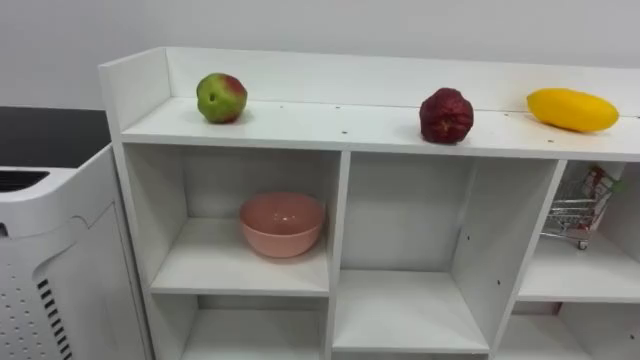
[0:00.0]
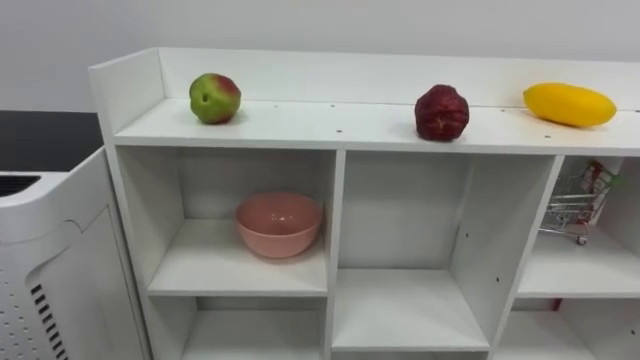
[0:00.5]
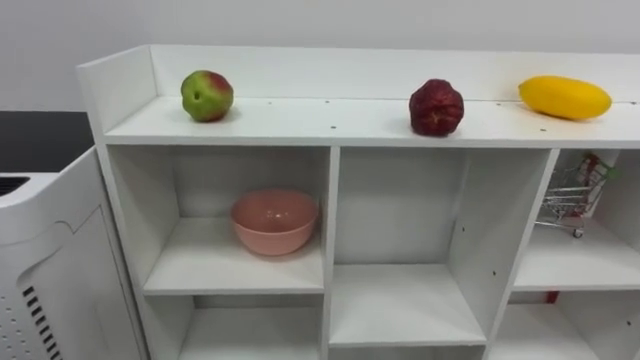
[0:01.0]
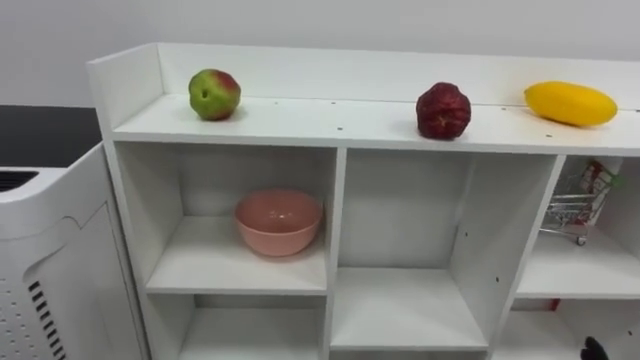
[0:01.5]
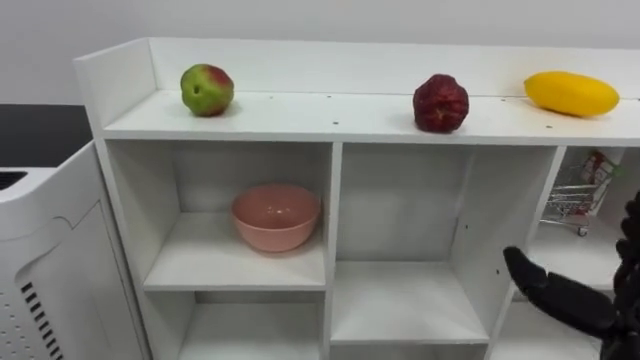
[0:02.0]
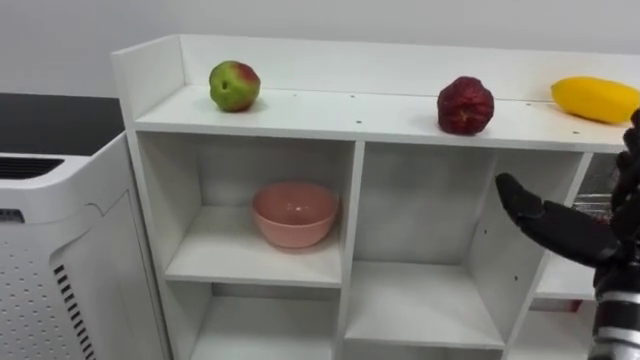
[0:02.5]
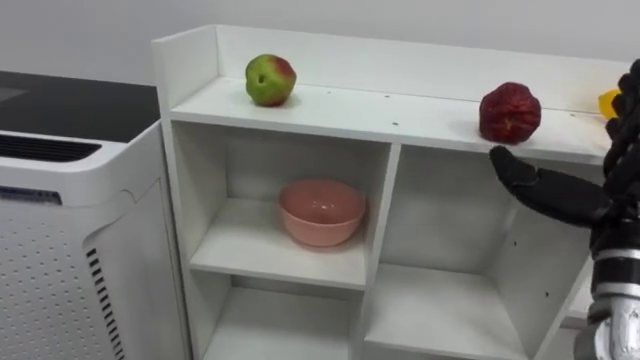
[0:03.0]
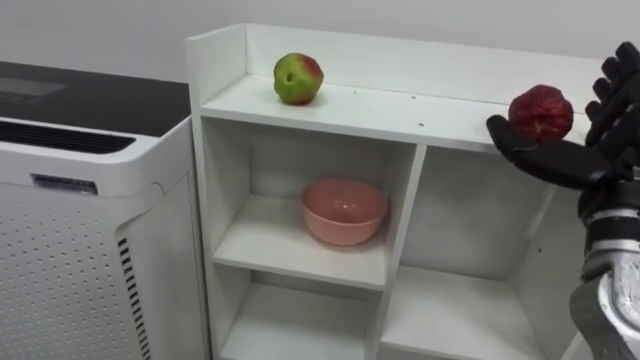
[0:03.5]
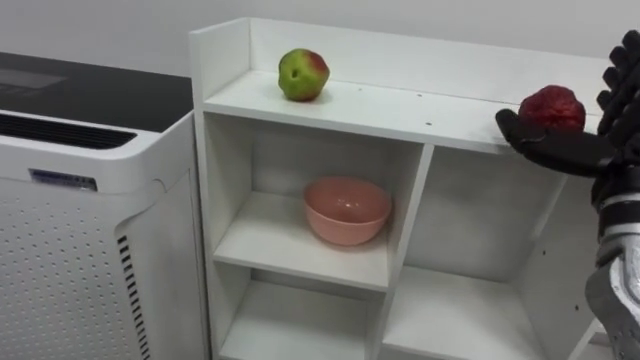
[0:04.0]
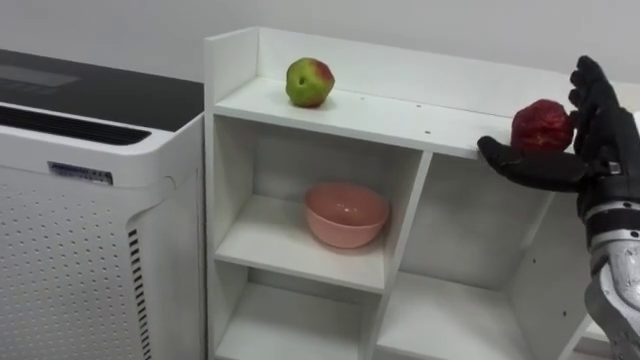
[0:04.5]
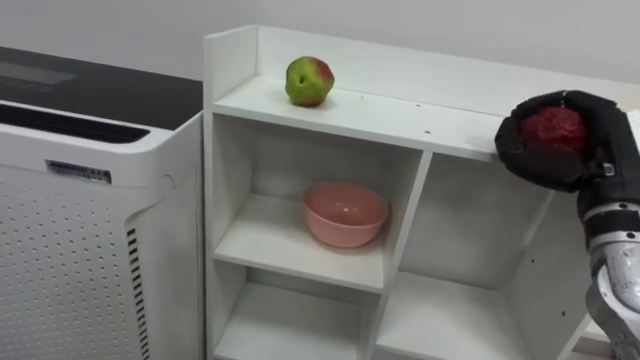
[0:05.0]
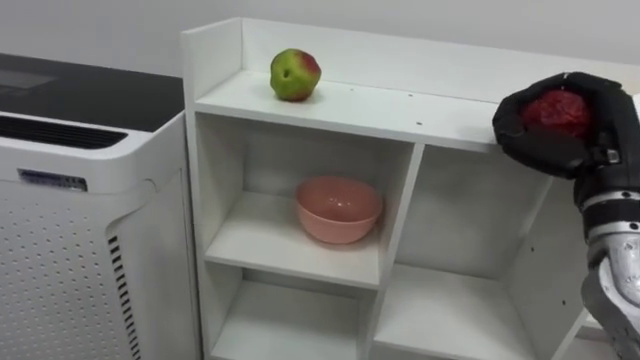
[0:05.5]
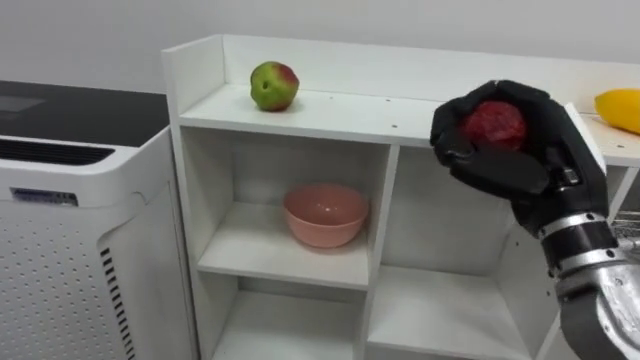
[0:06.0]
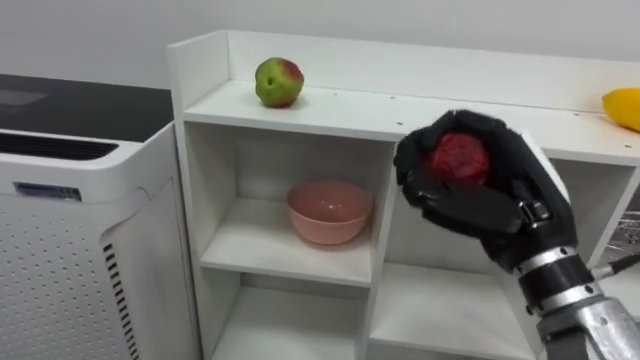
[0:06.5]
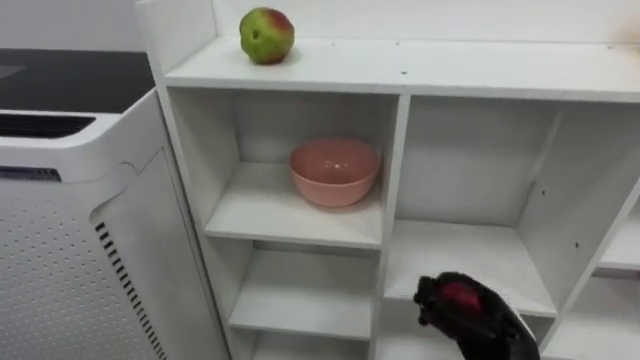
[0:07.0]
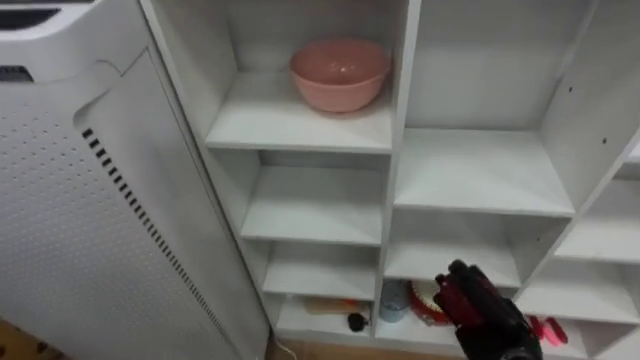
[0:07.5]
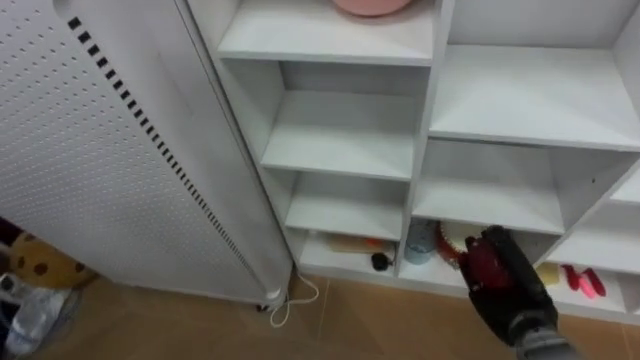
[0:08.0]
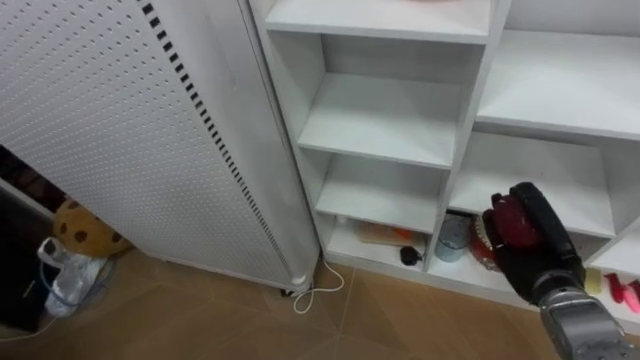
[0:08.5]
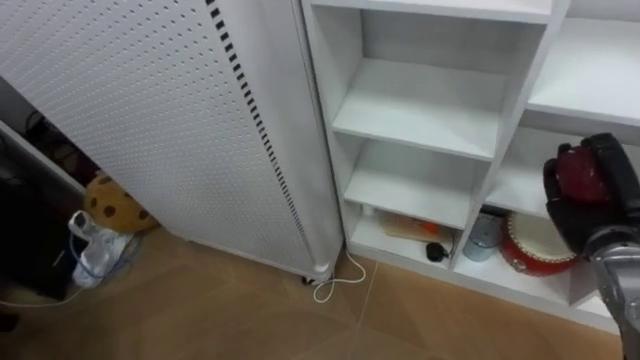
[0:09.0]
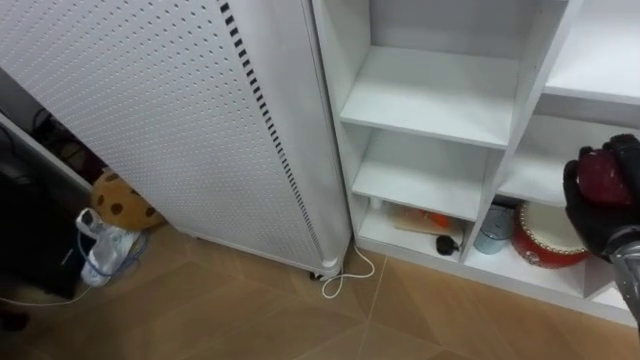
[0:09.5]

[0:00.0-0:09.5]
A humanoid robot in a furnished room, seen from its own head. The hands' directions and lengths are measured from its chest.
Task of the whole recording: Put the apple in the cell in the second column from the left and the second row from the top.
0:02.0 to 0:04.0: The right hand shifts roughly 15 cm upward and forward.
0:04.0 to 0:05.5: The right hand closes.
0:05.5 to 0:07.5: The right hand shifts some 25 cm downward.
0:07.5 to 0:09.5: The right hand shifts approximately 20 cm upward and to the right.

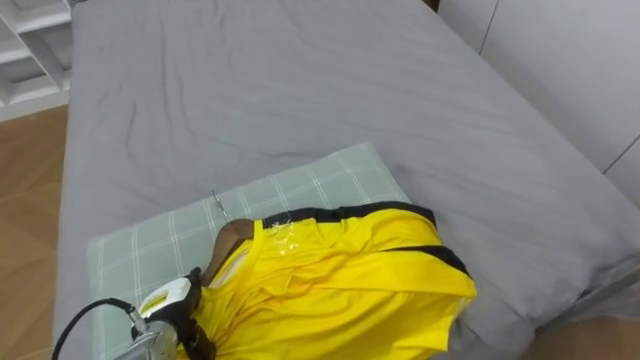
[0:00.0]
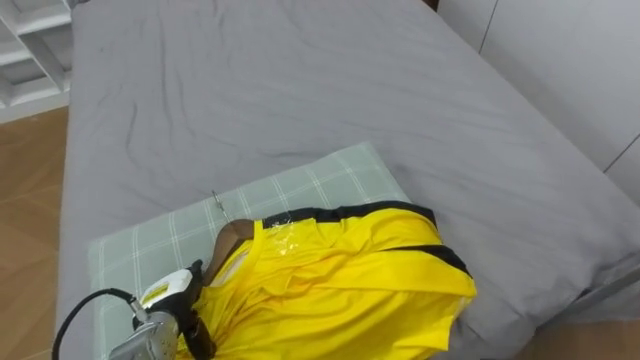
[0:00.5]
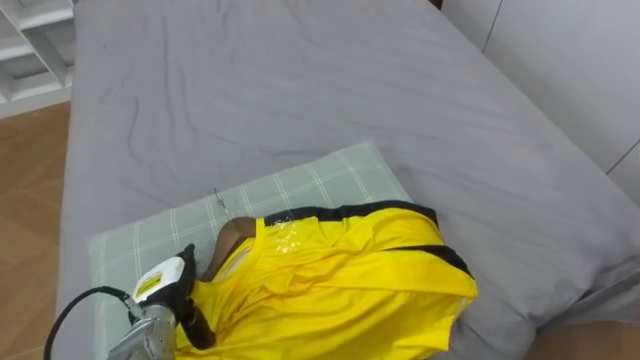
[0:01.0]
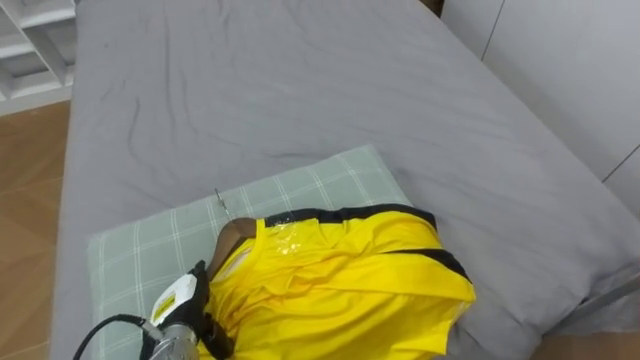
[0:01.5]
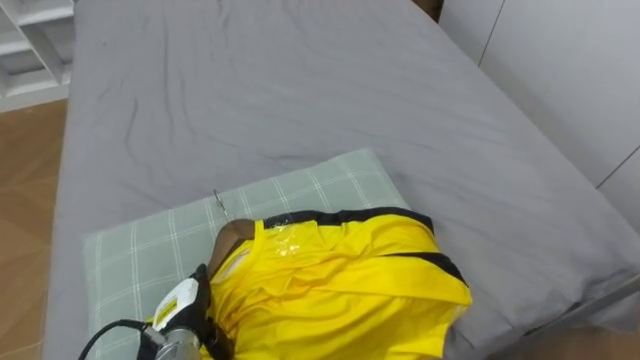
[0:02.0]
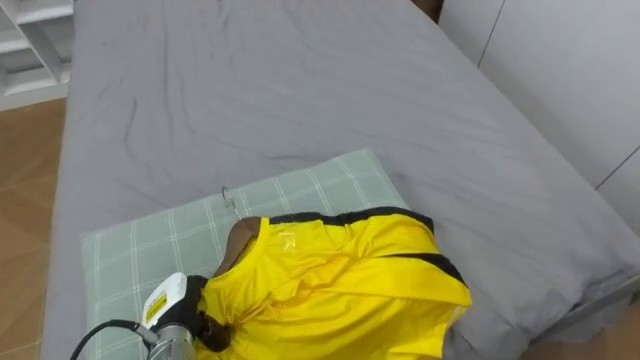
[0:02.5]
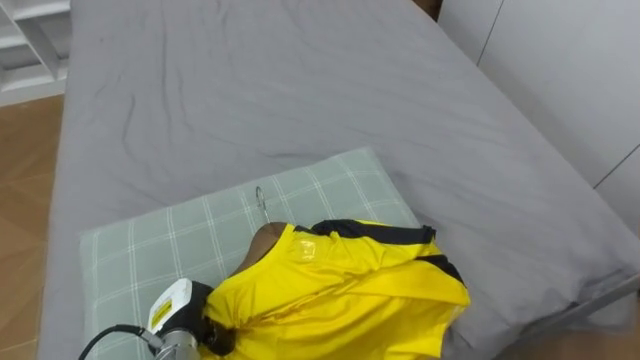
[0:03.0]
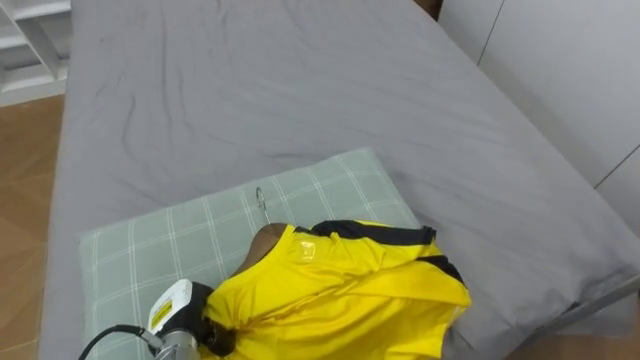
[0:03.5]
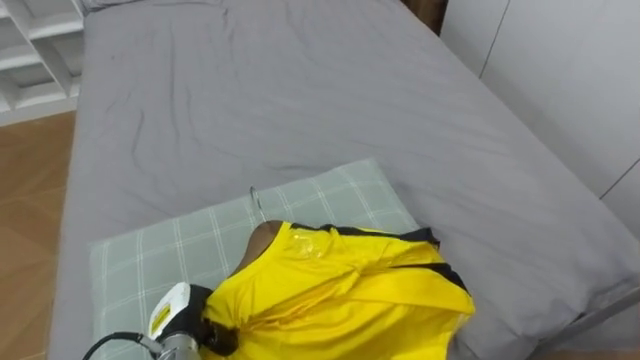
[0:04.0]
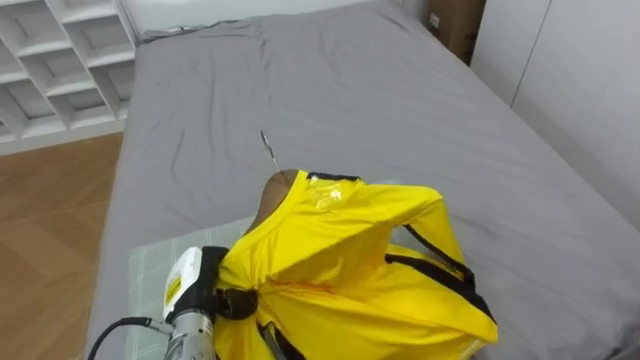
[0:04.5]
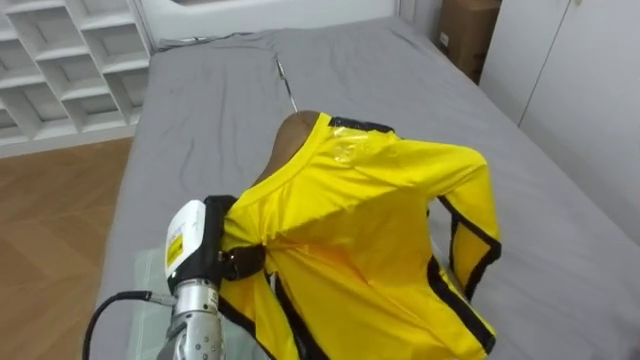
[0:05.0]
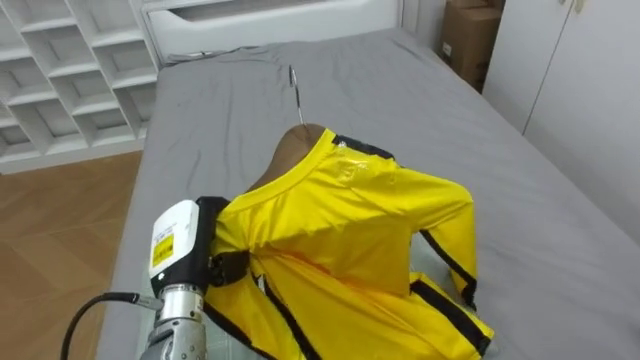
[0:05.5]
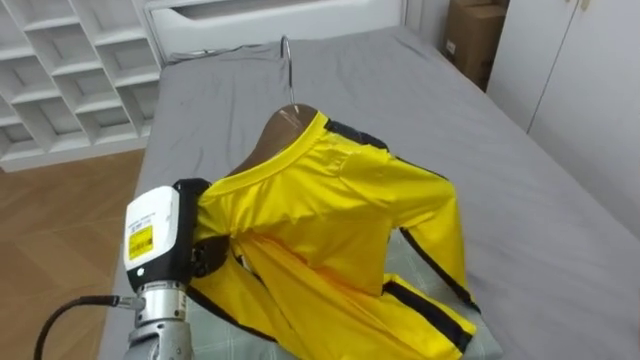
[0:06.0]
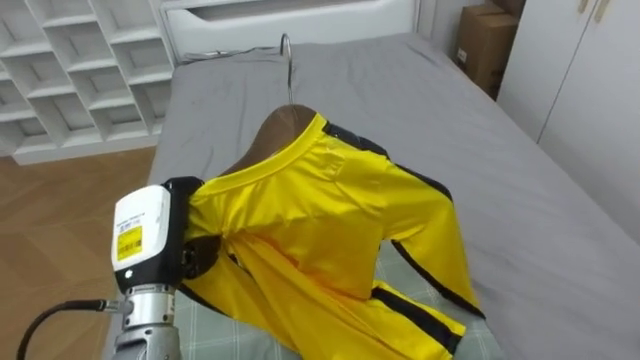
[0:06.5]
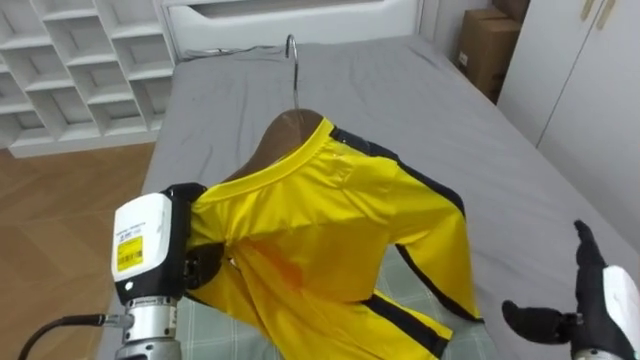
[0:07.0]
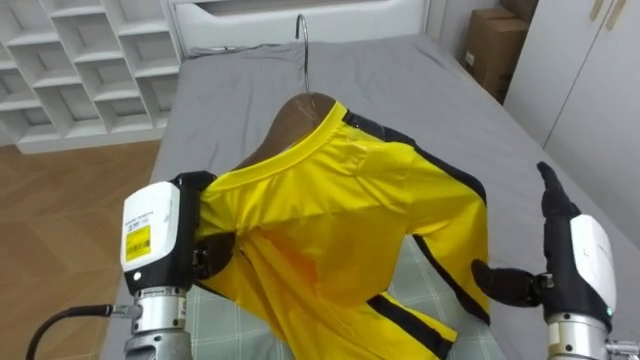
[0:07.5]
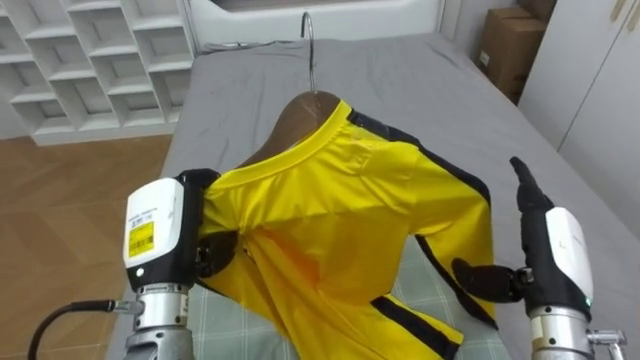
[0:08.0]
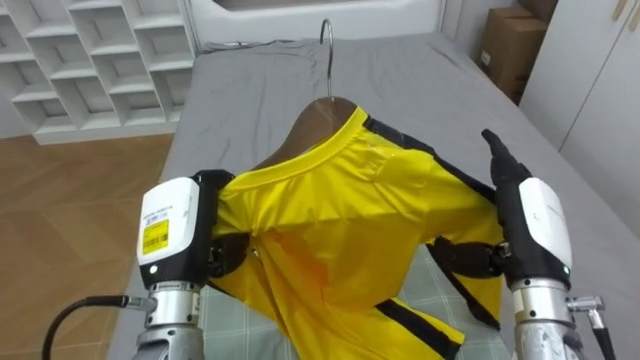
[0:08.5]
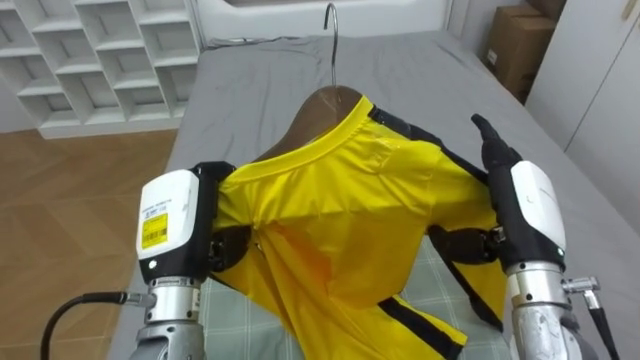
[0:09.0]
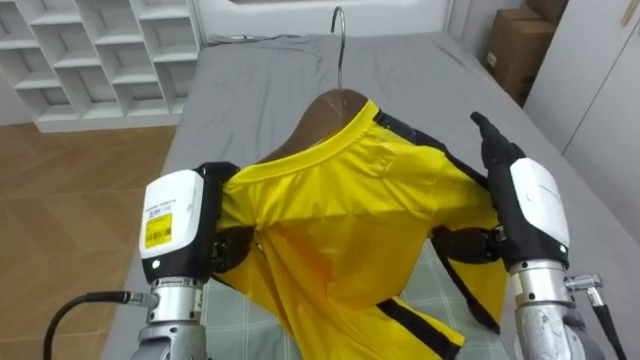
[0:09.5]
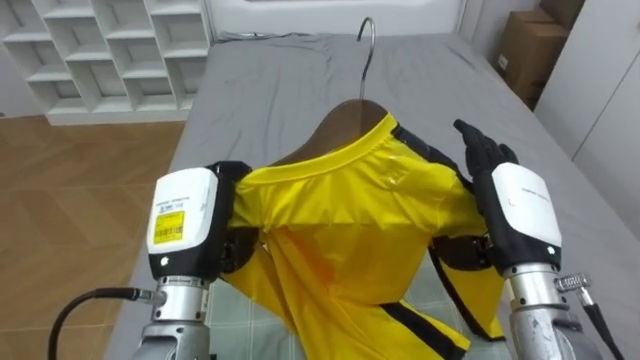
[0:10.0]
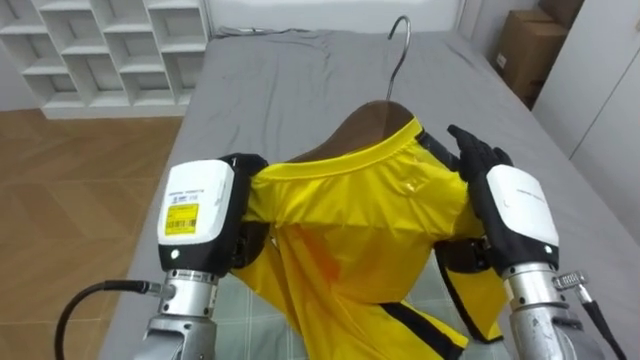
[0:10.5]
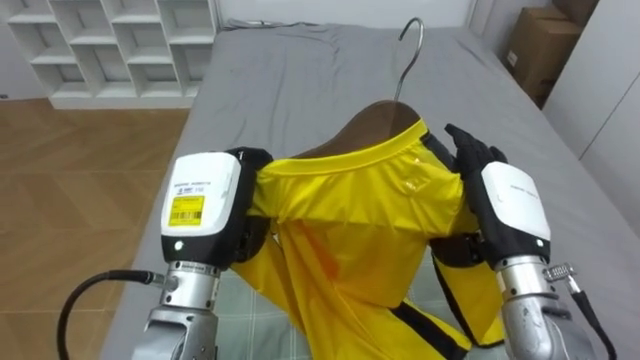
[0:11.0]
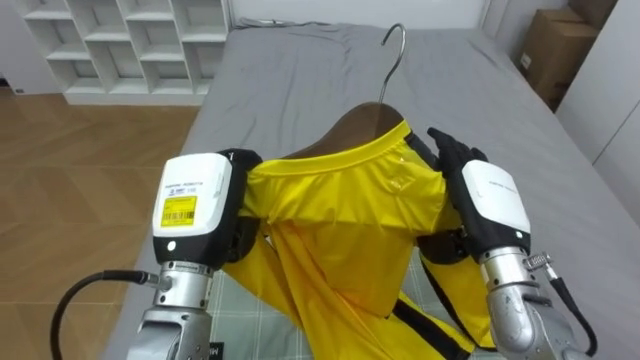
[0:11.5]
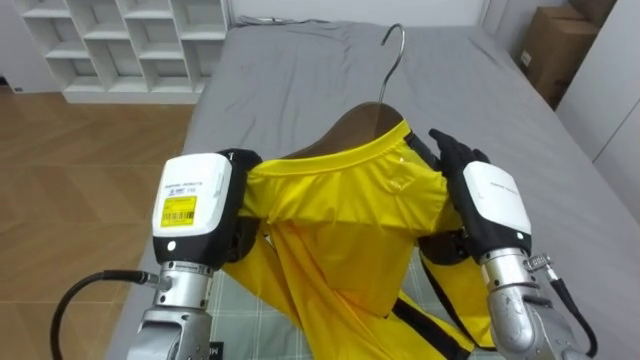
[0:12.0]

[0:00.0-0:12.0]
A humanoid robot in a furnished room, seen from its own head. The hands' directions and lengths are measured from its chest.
Task of the whole recording: Pick up the yellow shirt on the bed and hang it on the clothes rack on the right.
0:02.0 to 0:04.0: The left hand closes.
0:04.0 to 0:06.0: The left hand is displaced upward by about 15 cm.
0:08.0 to 0:10.0: The right hand shifts by some 5 cm.
